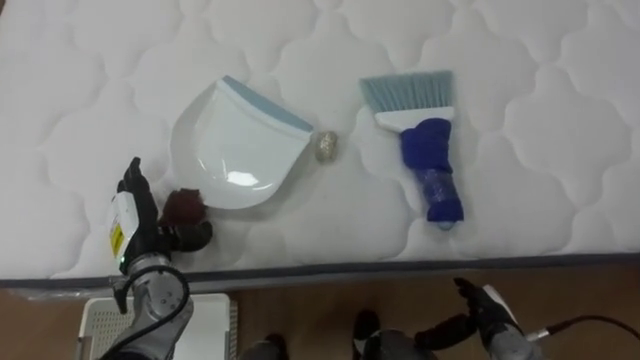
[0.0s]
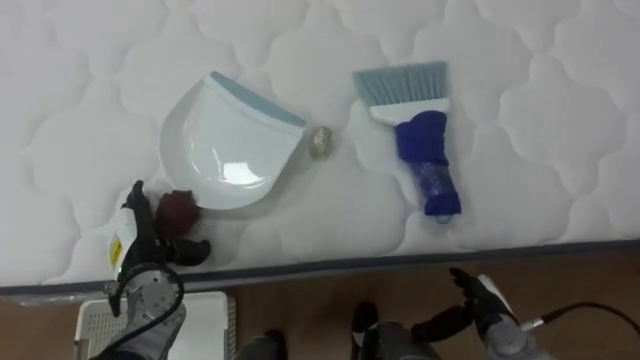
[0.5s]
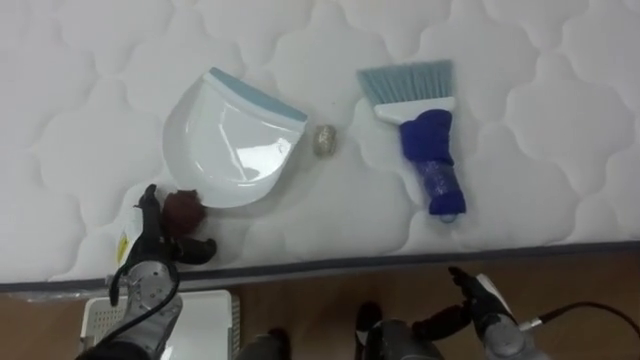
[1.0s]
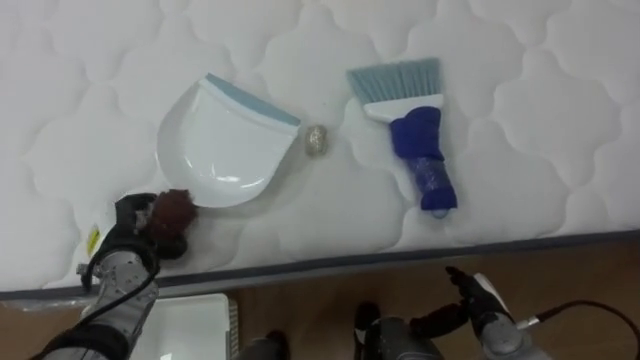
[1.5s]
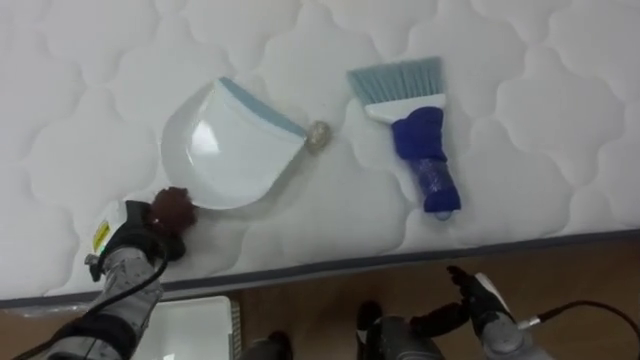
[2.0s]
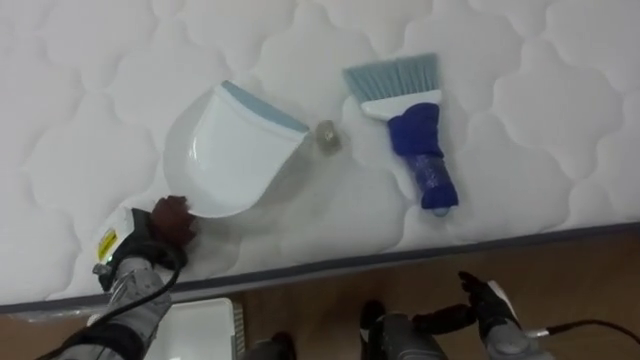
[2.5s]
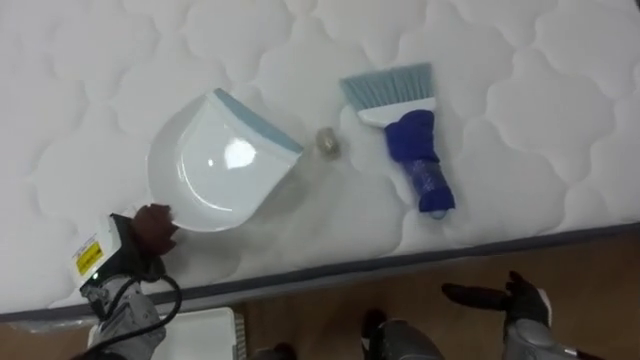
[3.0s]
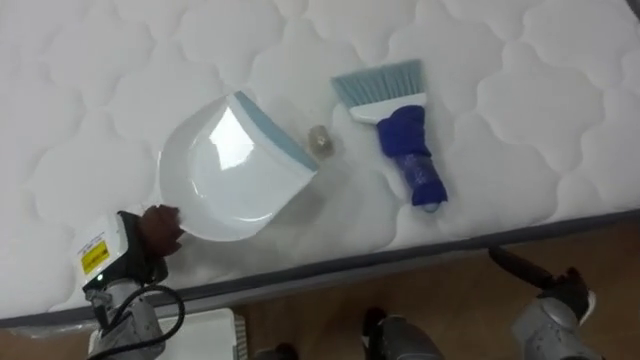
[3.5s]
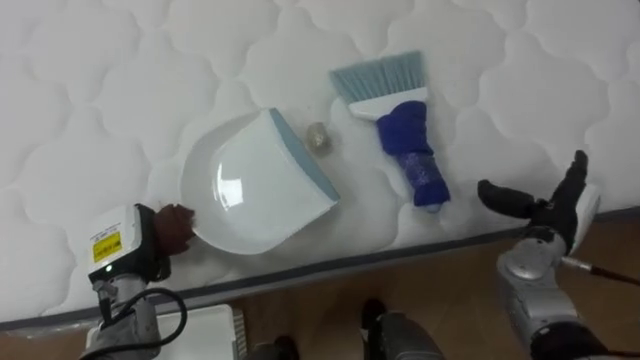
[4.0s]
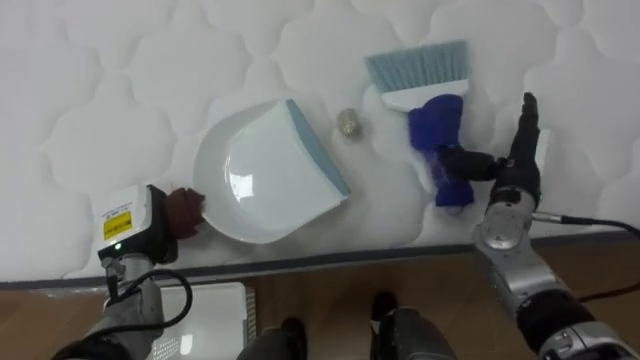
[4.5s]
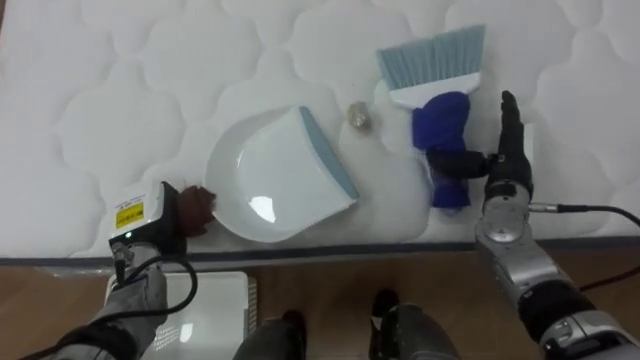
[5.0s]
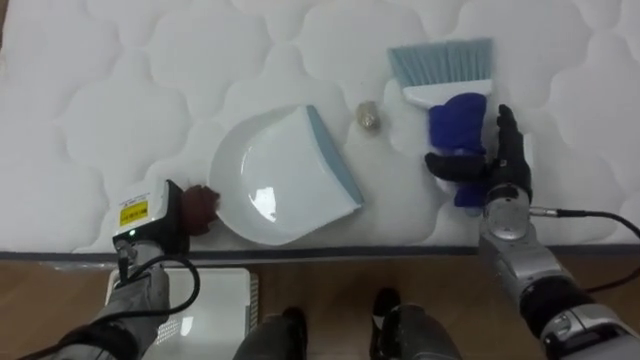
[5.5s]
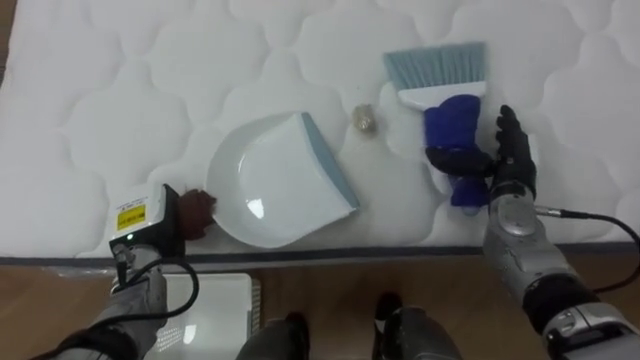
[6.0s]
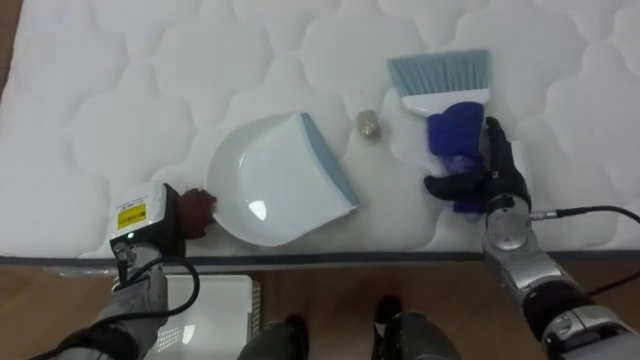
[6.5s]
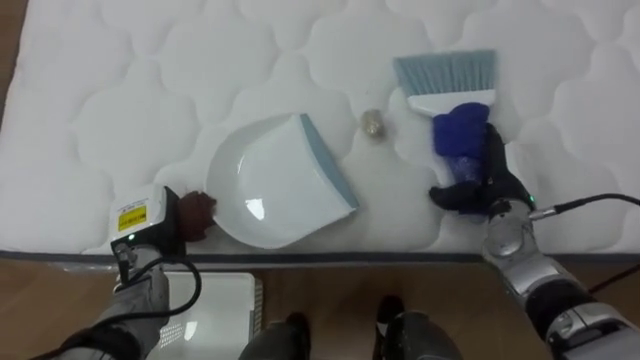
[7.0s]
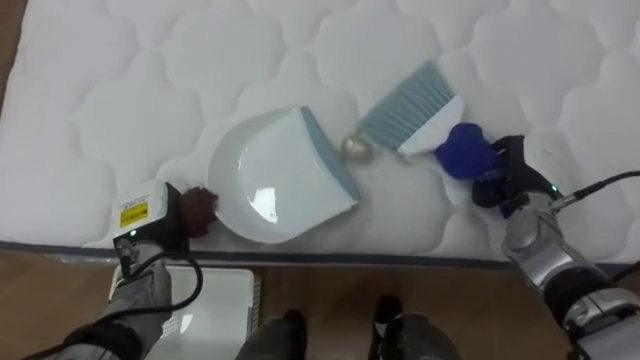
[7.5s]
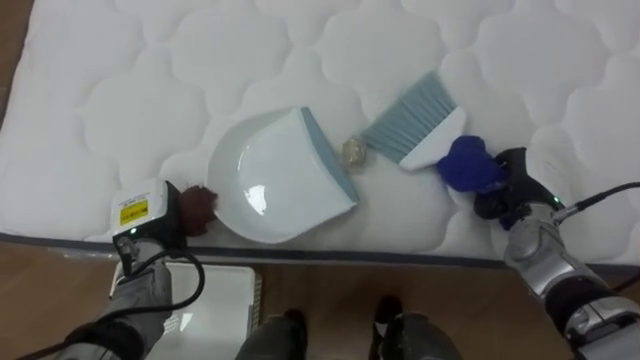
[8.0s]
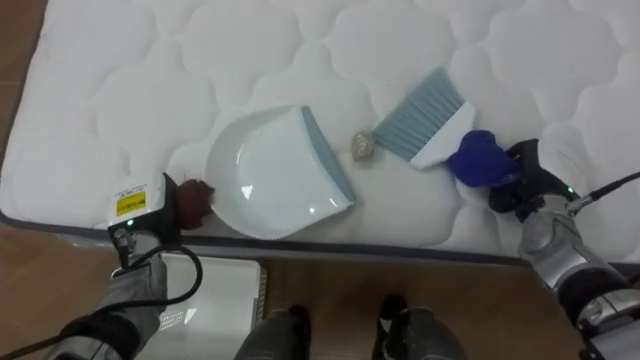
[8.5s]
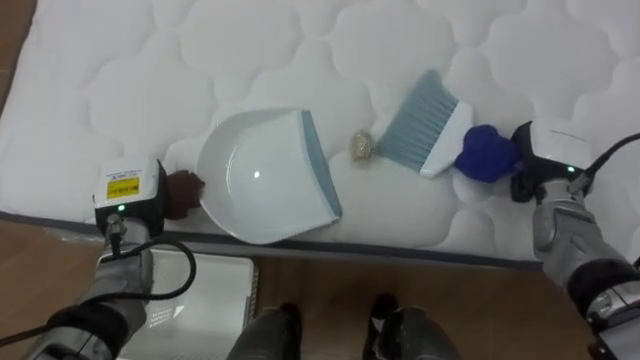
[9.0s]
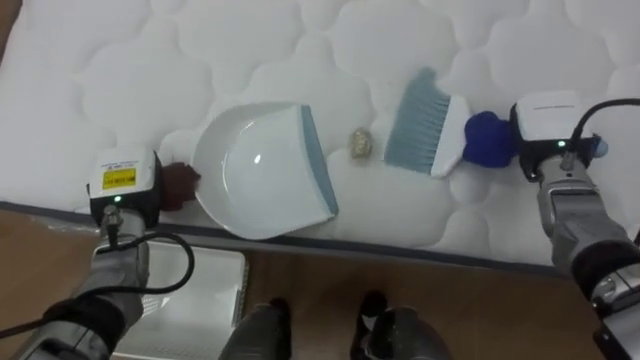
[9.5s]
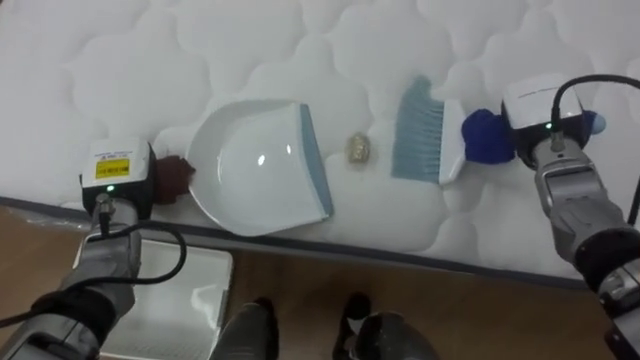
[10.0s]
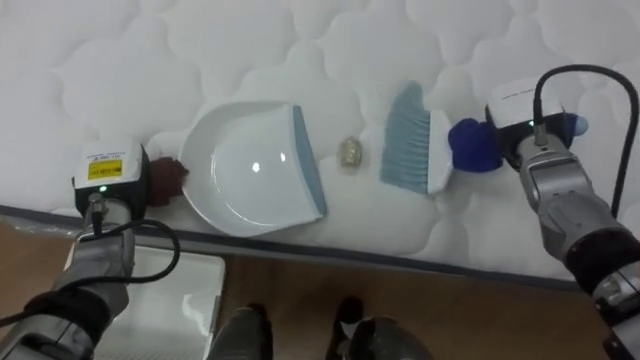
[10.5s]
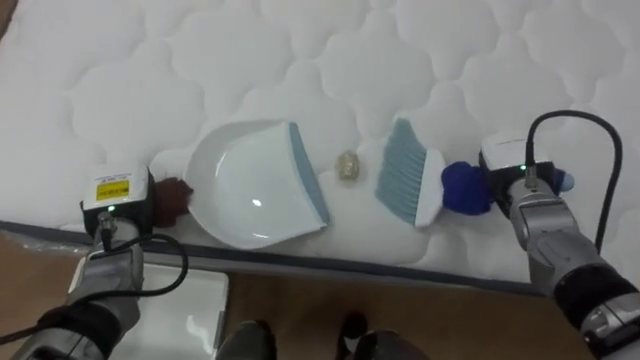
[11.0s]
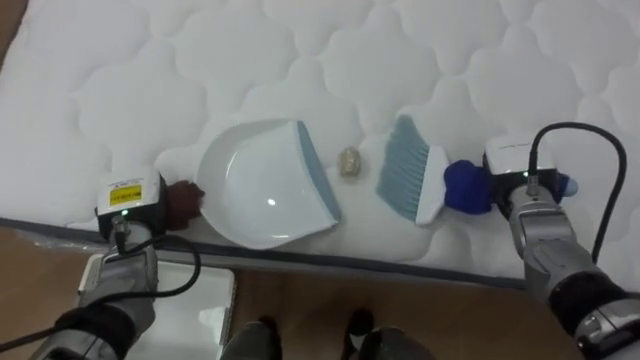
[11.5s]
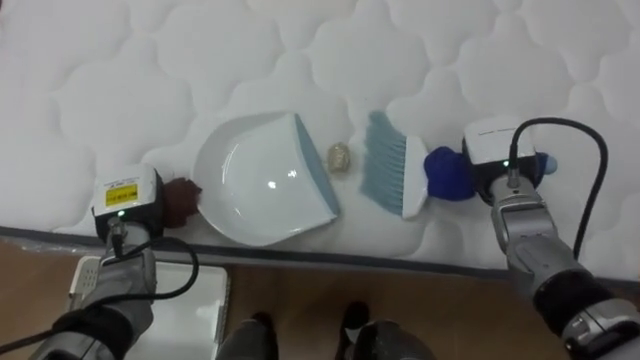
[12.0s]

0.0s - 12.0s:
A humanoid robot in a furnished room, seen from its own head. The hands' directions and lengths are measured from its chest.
Task of the whole recording: Pick up the brush on your right and the dustpan on your left. Use the brush to sweep the crumpled paper on the bed into the dustpan, then turn left and empty it into the basket.
0.0s - 2.0s: The left hand closes.
2.0s - 4.0s: The right hand goes roughly 20 cm upward, forward and to the right.
4.0s - 6.0s: The right hand is displaced forward and to the left by some 10 cm.
6.0s - 8.0s: The right hand closes its fingers.
8.0s - 10.0s: The right hand goes about 10 cm upward and forward; the left hand is displaced upward by roughly 5 cm.
10.0s - 12.0s: The right hand travels to the left by some 5 cm.

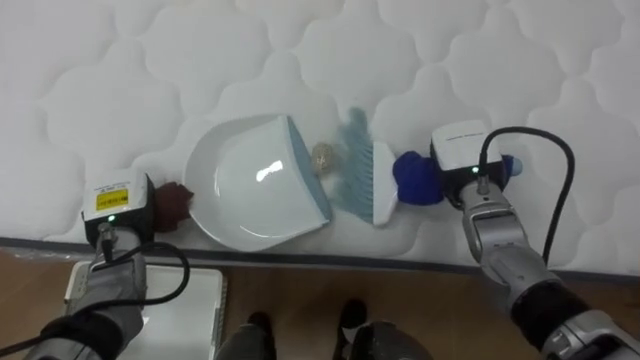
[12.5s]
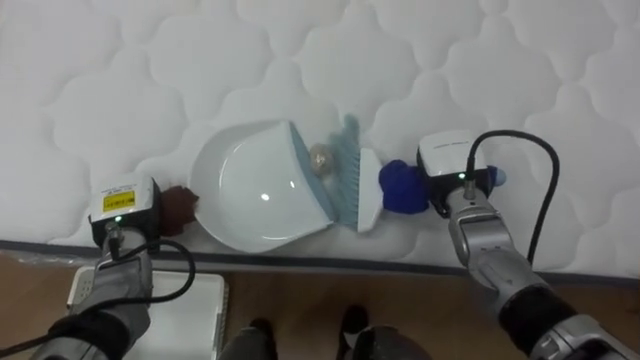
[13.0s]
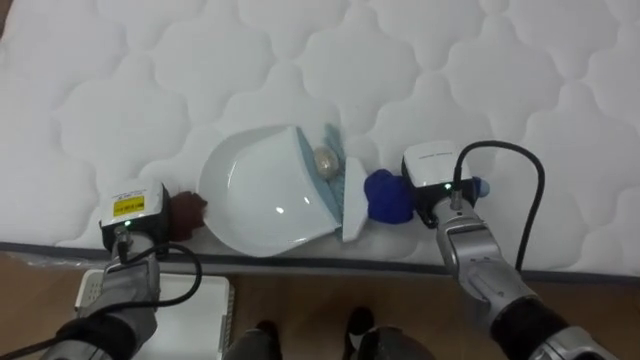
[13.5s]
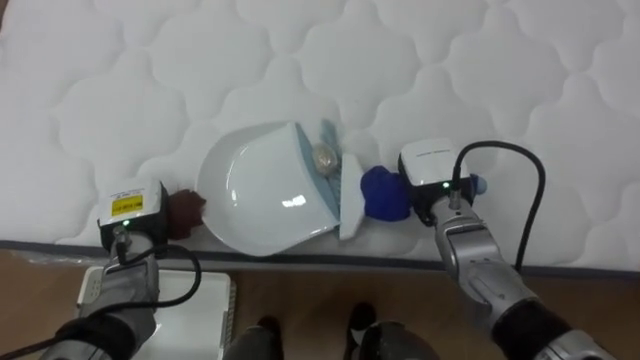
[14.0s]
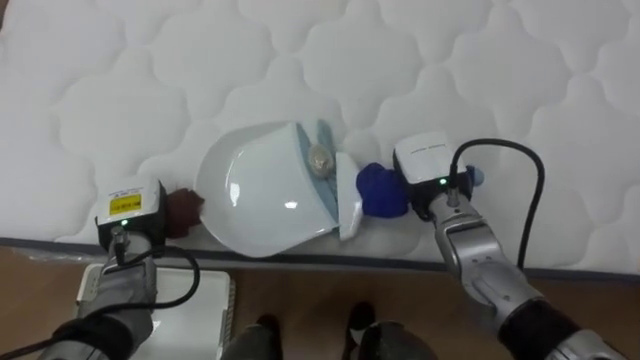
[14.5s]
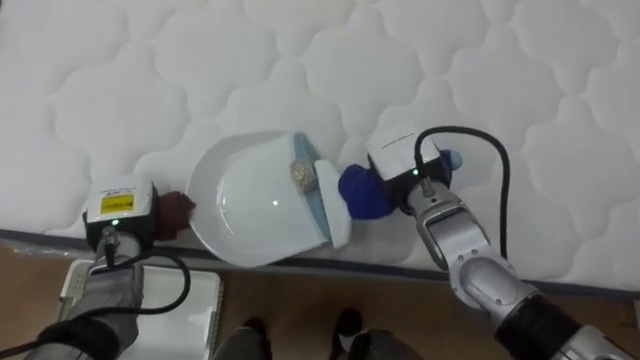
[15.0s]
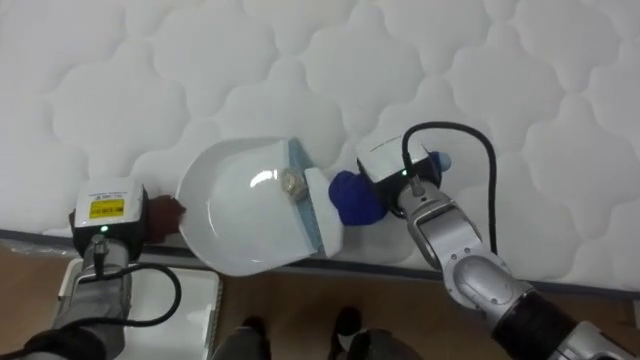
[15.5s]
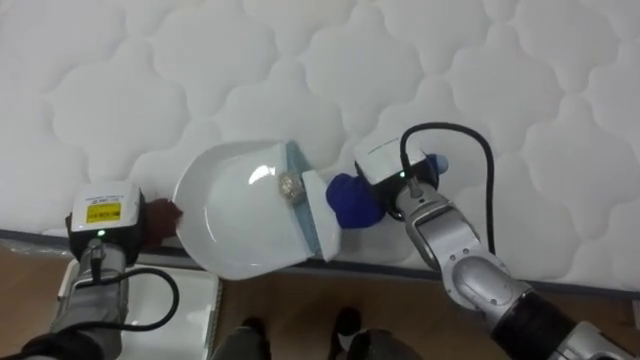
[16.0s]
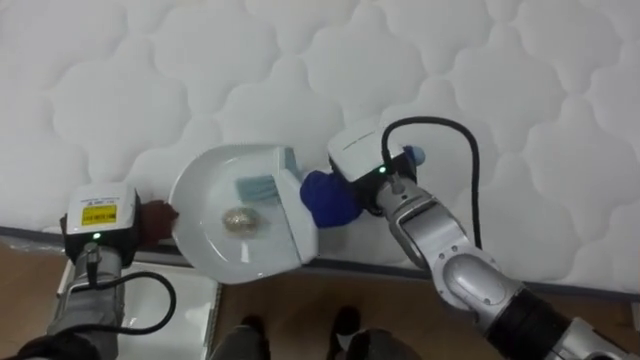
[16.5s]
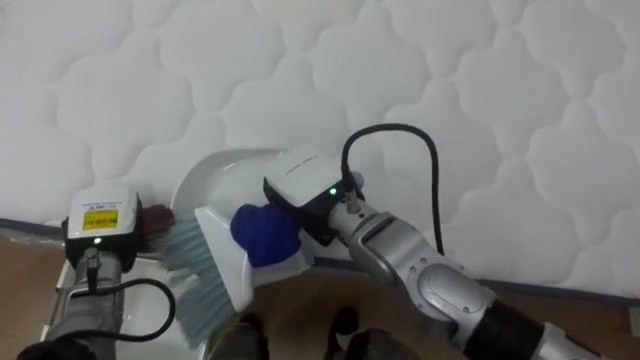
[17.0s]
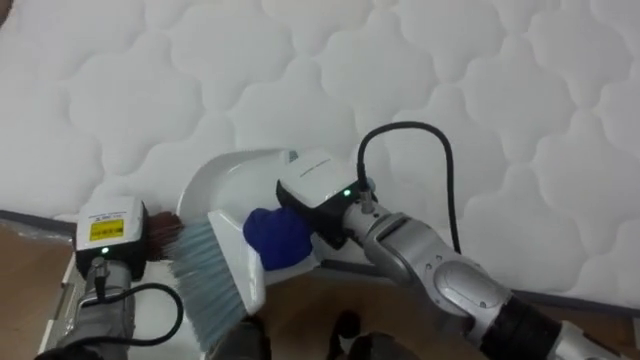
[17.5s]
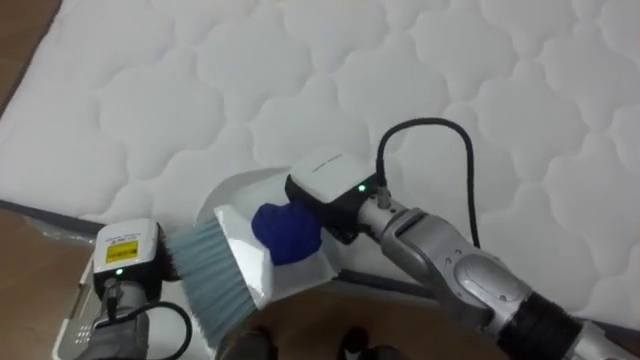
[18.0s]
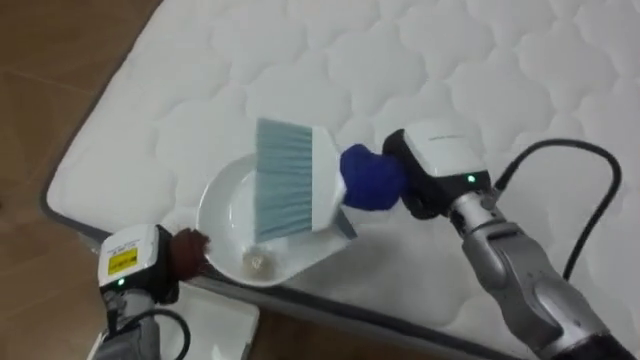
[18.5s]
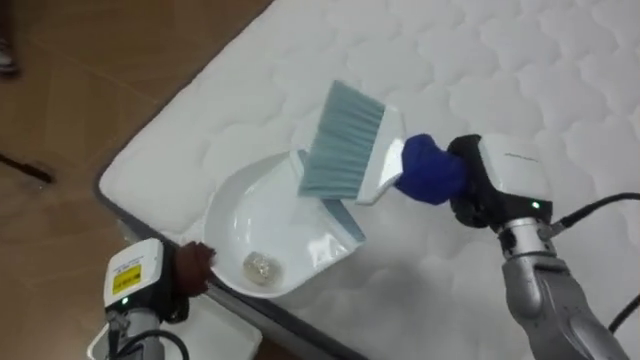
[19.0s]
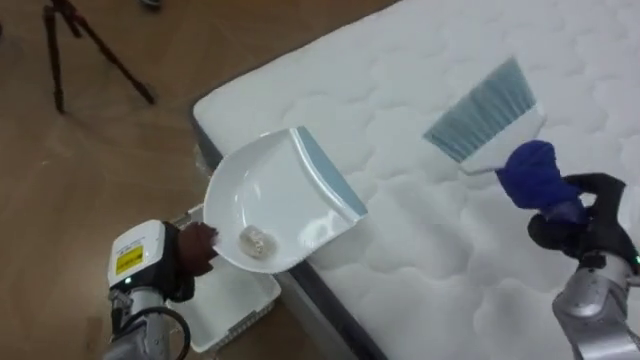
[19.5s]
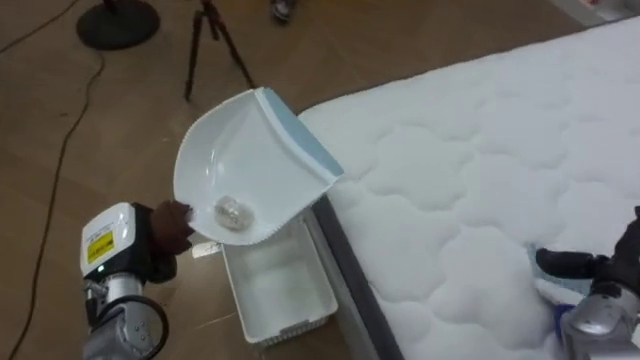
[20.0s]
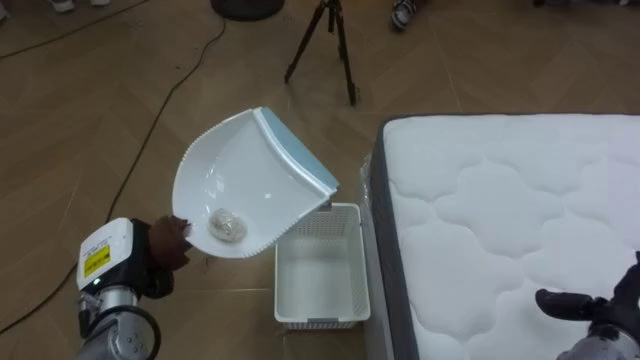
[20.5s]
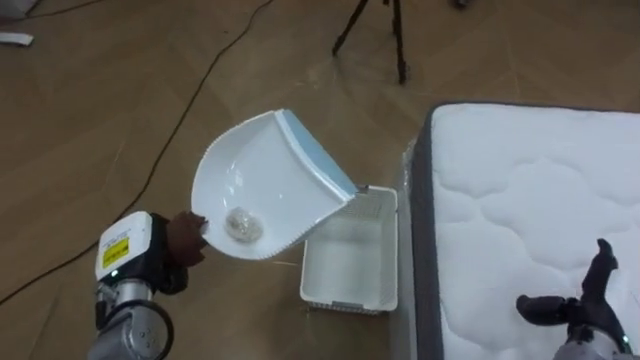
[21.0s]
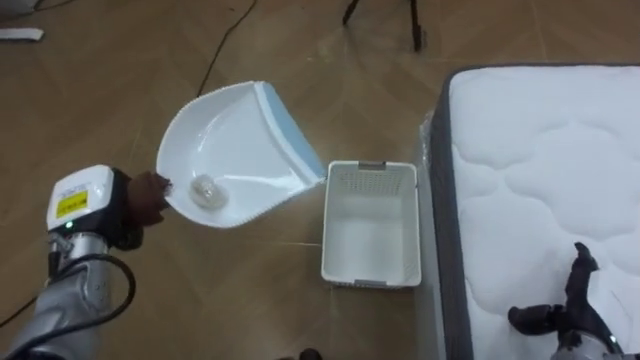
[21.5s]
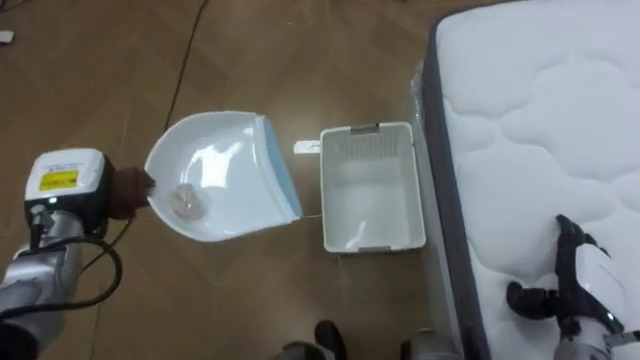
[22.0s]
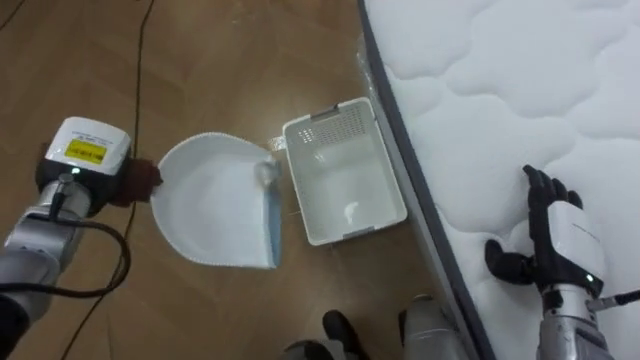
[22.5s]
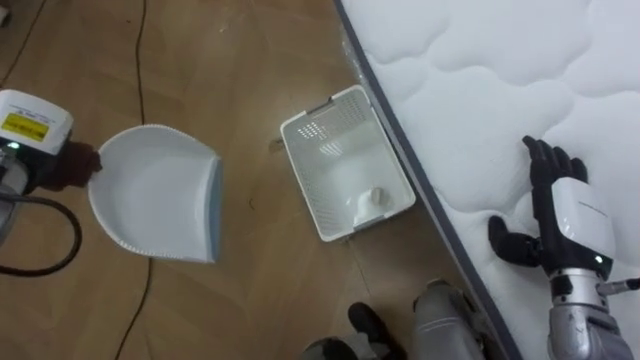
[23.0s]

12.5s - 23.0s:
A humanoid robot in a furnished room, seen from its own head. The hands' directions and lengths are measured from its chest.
Task of the whole recording: Pick up the brush on your right and the dustpan on your left. Use the brush to sweep the crumpled paper on the bed into the dustpan, then turn left and empty it into the basket.
12.5s - 14.5s: The right hand ends up roughly 5 cm from where it was.
14.5s - 16.5s: The right hand is displaced to the left by approximately 10 cm.
16.5s - 19.0s: The robot faces some 25 degrees further to its left. The left hand moves backward, about 5 cm. Meanwhile the right hand heads to the right, covering about 15 cm.
19.0s - 21.0s: The robot's body swings some 75 degrees to its left. The right hand travels to the right, downward and backward by approximately 20 cm, and opens.
21.0s - 23.0s: The right hand heads upward, forward and to the left, covering some 10 cm; the left hand travels upward, to the left and forward by some 20 cm.
